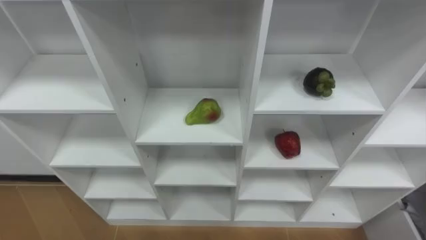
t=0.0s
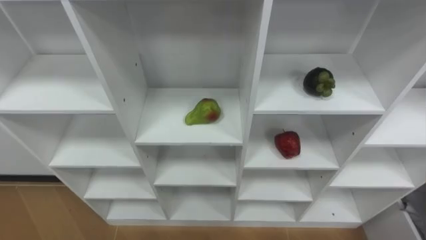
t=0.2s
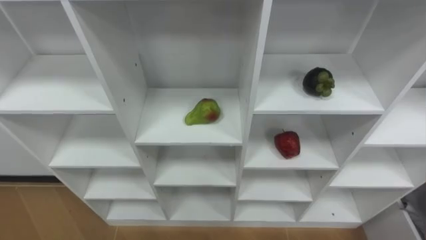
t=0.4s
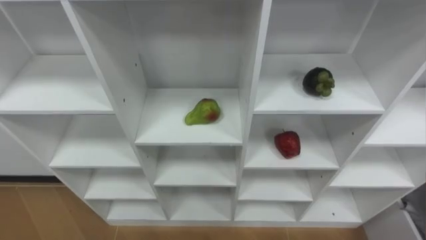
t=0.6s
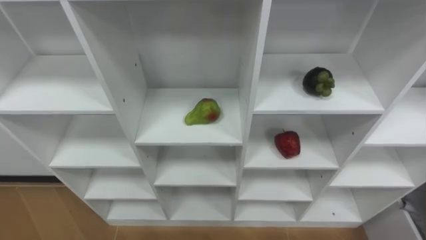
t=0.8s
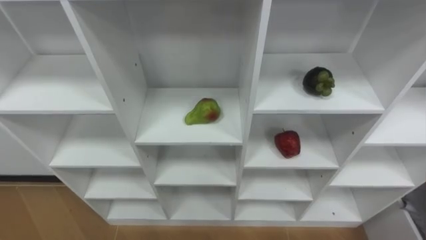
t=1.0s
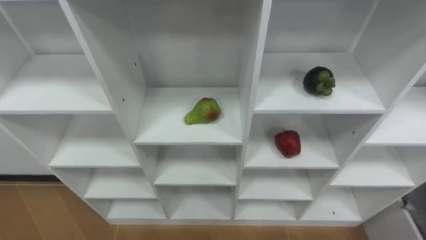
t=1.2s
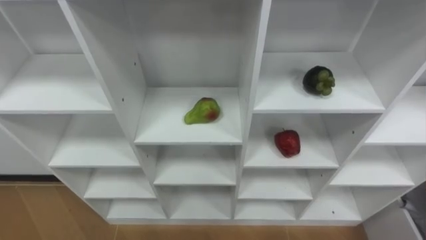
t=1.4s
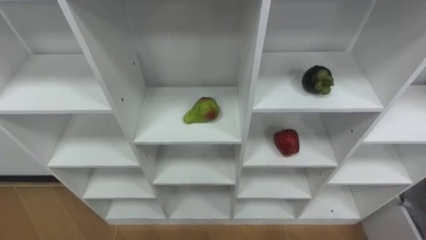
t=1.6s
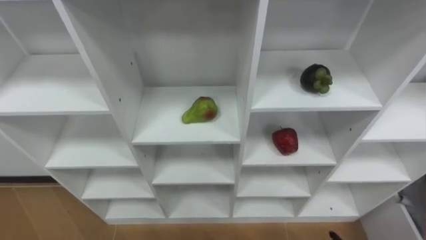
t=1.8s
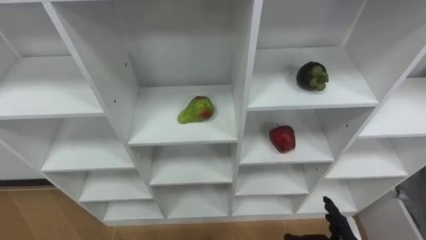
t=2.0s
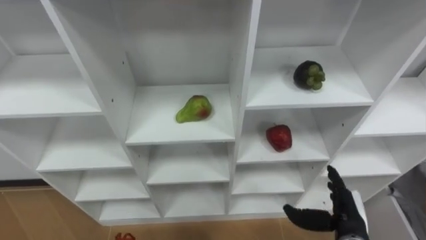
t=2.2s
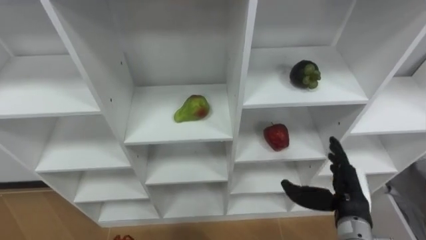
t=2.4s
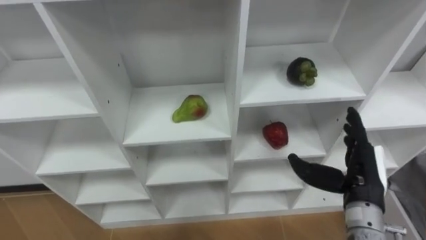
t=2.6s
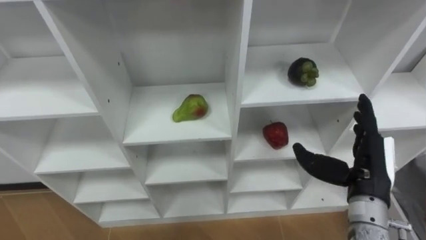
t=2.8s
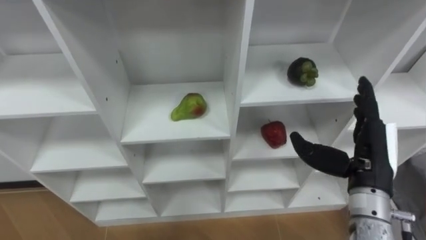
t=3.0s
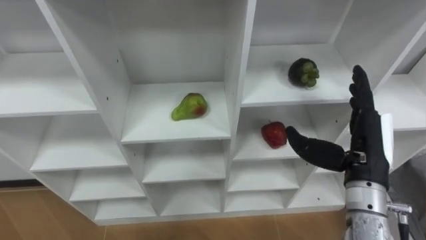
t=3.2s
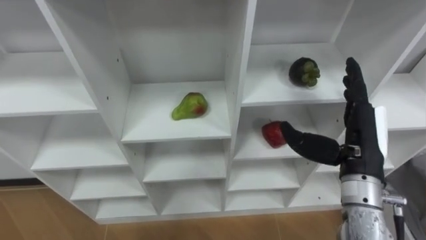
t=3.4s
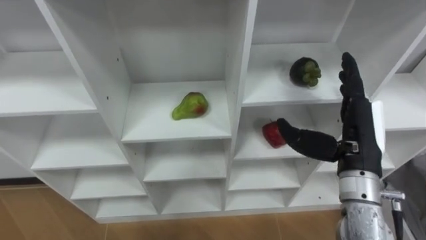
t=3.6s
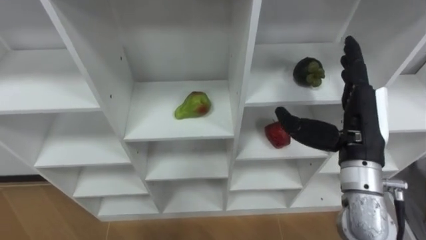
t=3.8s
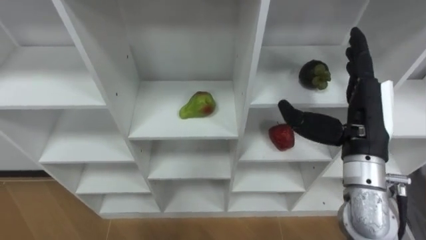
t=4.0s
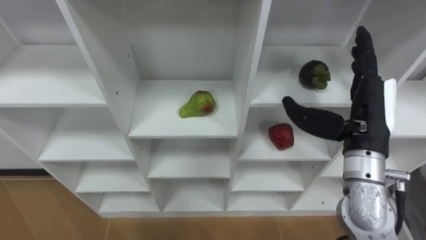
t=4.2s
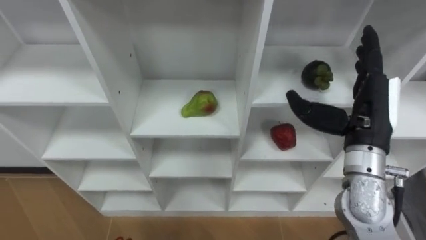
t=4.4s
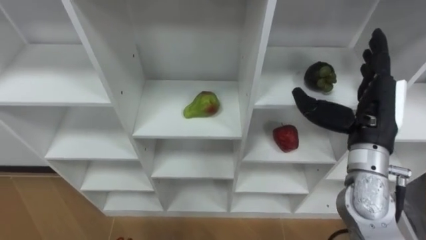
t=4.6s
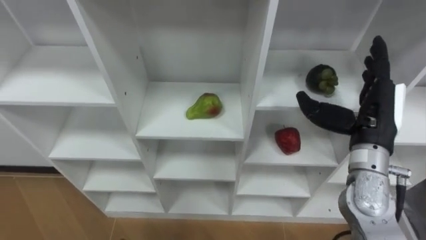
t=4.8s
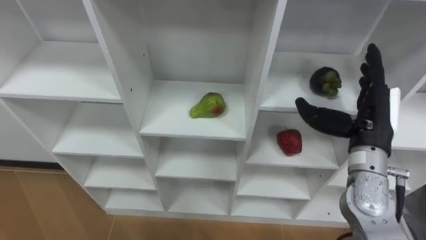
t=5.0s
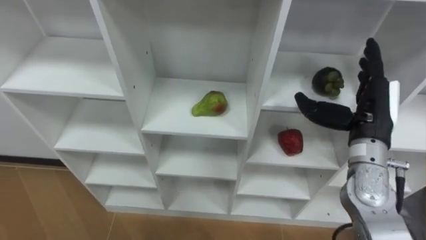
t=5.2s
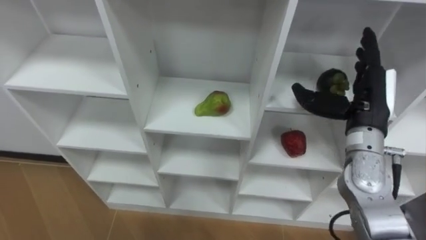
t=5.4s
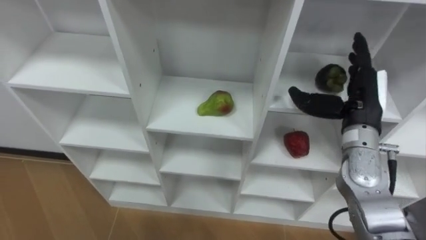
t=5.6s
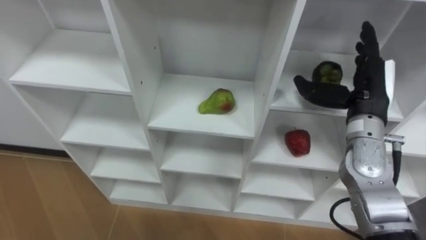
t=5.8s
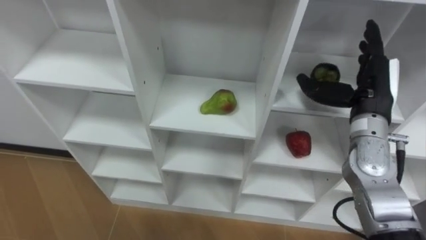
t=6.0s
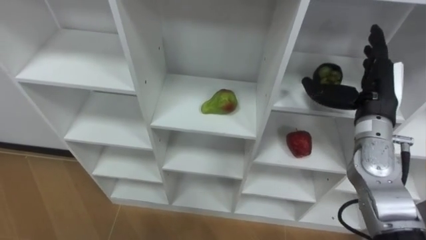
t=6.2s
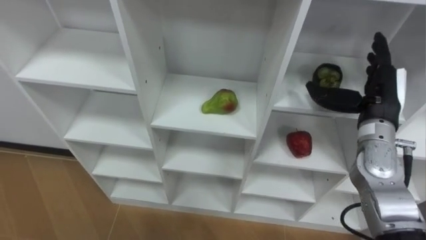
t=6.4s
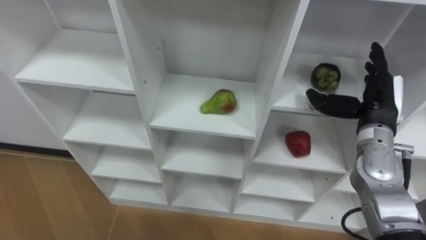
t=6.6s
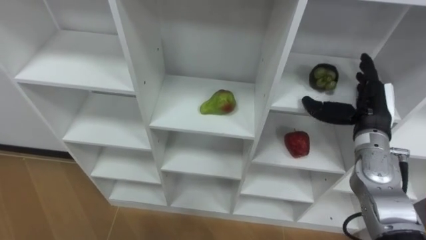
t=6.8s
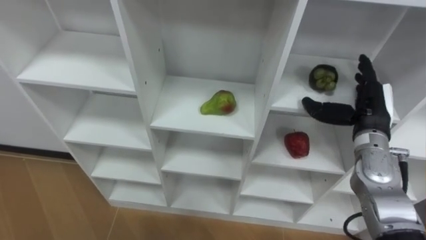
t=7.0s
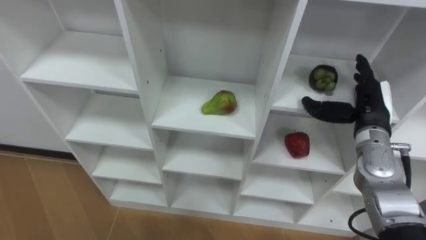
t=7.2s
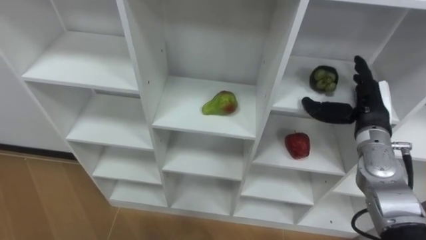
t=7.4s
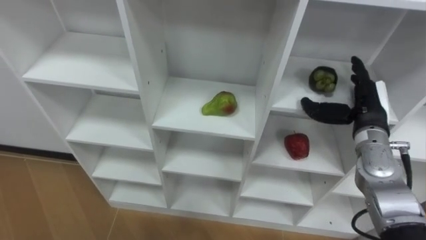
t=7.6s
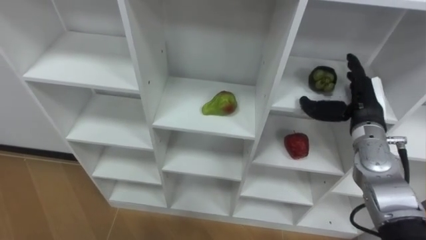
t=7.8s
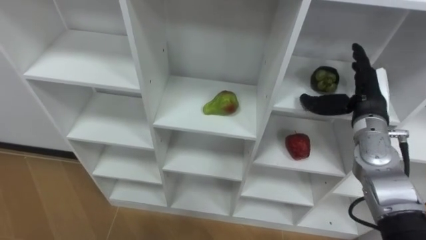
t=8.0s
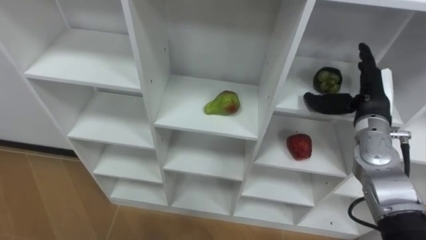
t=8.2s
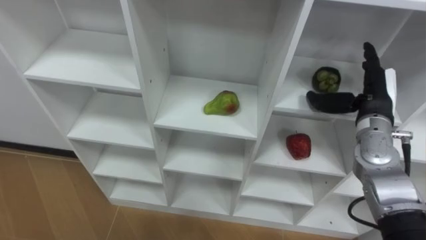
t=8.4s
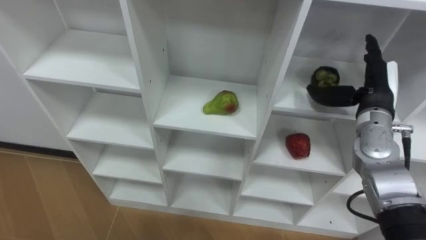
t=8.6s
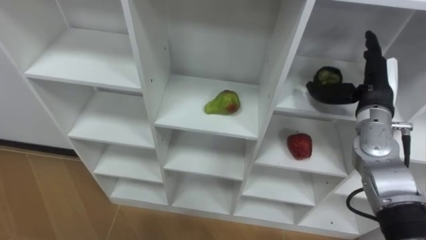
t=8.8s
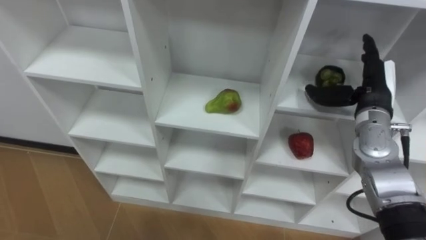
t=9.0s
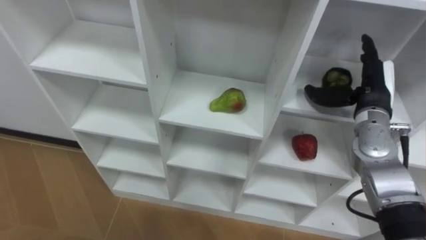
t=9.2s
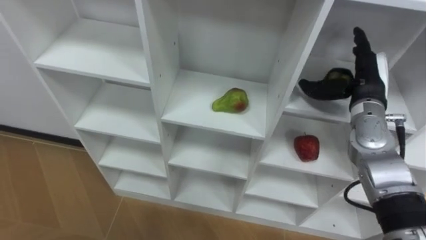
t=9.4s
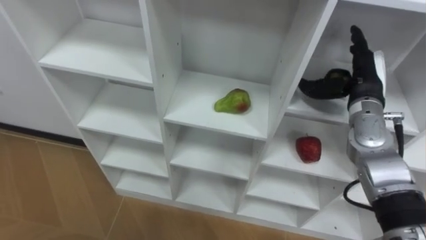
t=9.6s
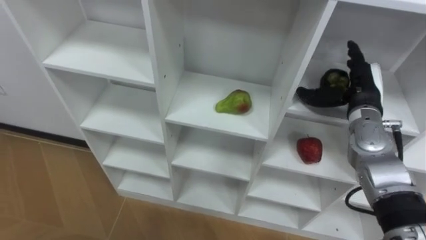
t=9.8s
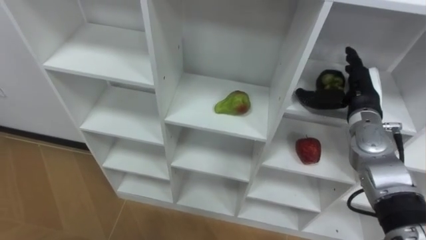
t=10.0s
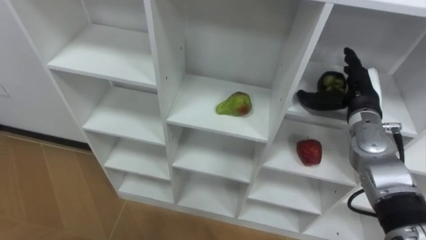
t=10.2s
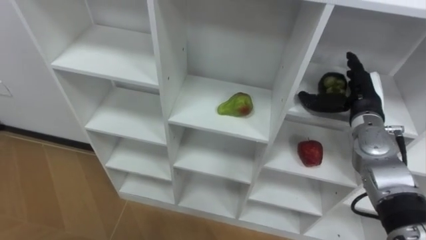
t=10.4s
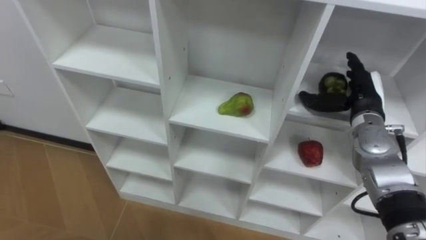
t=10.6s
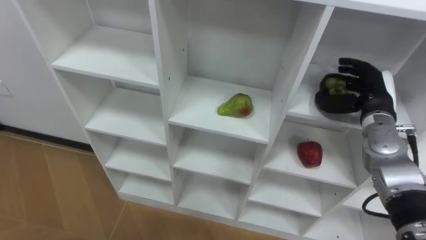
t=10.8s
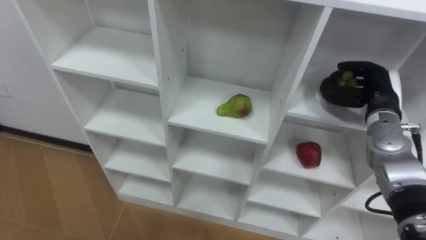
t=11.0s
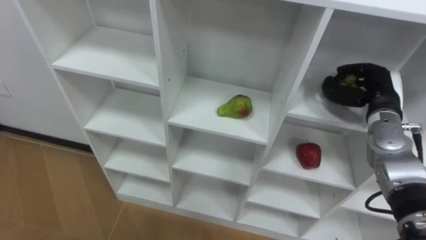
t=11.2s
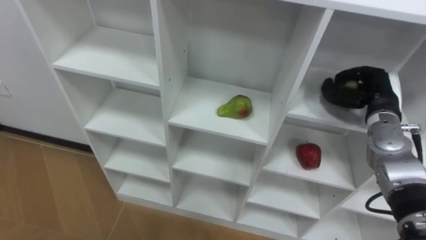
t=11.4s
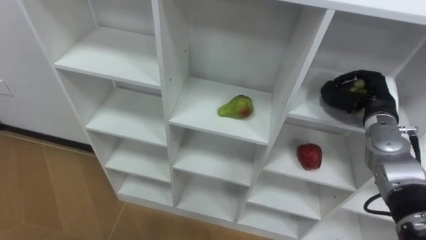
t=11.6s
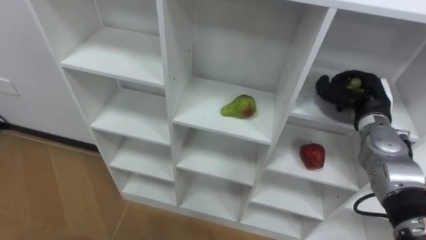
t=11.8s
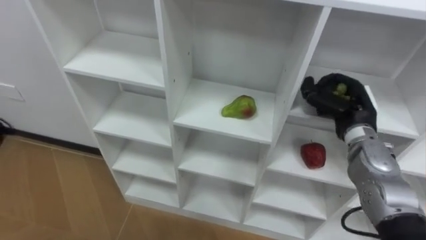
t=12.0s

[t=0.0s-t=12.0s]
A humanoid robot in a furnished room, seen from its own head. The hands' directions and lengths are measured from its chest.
Task of the whole recording: Hold the basket and collect the fruits from 3 different cells of the closet into it.
t=3.0s to t=4.4s: The right hand goes some 5 cm upward.
t=4.4s to t=6.0s: The right hand moves forward, about 5 cm.
t=6.0s to t=7.6s: The right hand is displaced downward by approximately 5 cm.
t=10.4s to t=12.0s: The right hand closes its fingers.

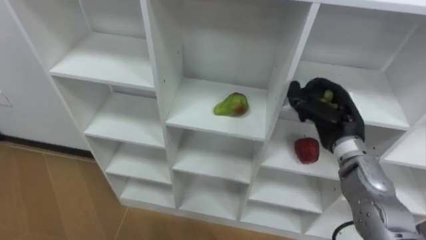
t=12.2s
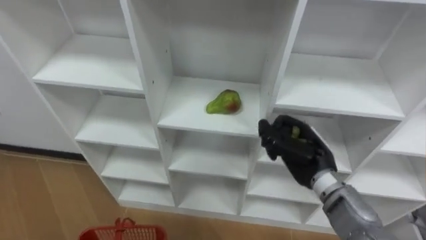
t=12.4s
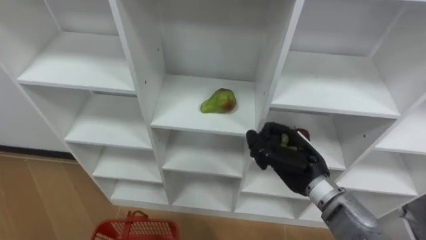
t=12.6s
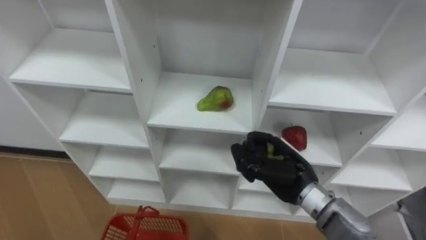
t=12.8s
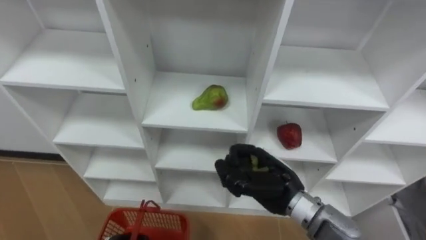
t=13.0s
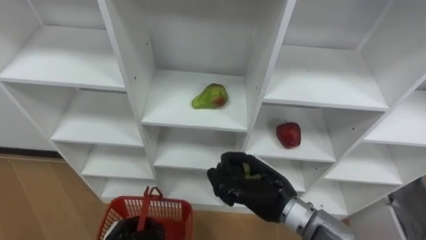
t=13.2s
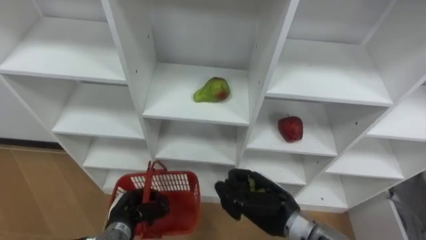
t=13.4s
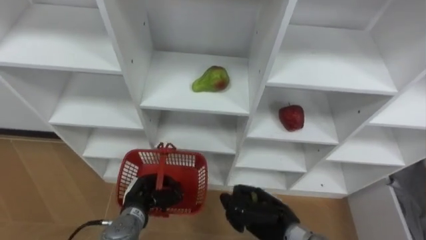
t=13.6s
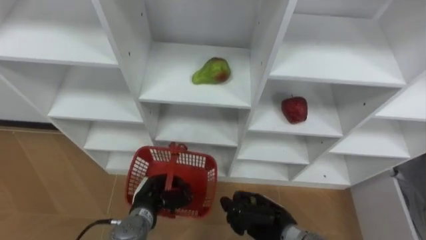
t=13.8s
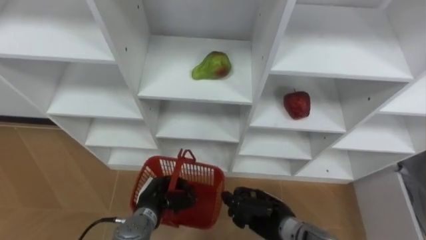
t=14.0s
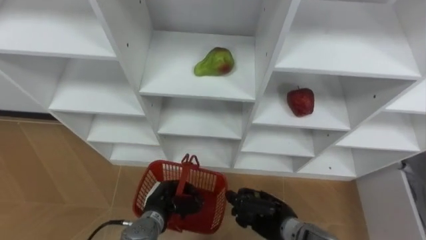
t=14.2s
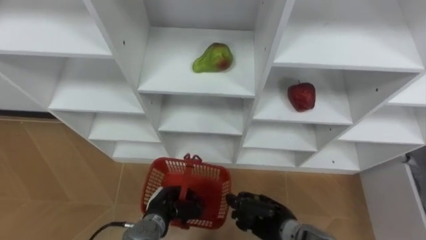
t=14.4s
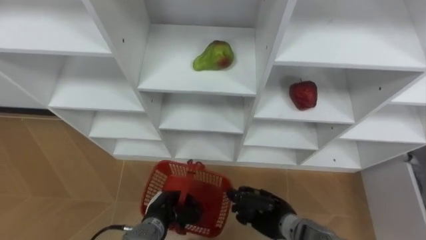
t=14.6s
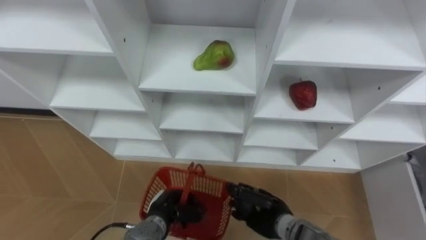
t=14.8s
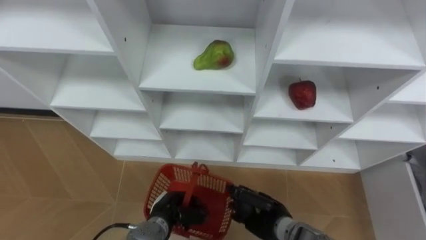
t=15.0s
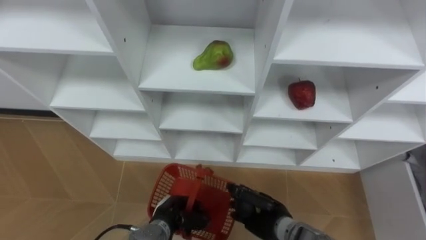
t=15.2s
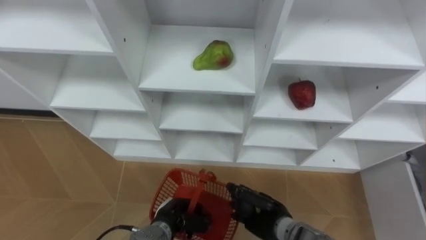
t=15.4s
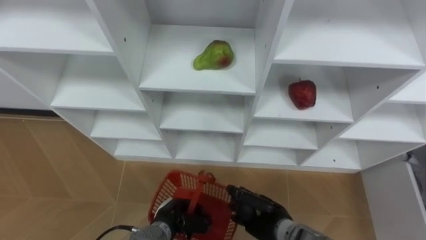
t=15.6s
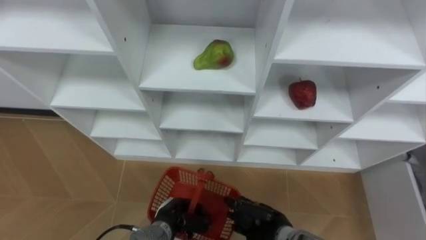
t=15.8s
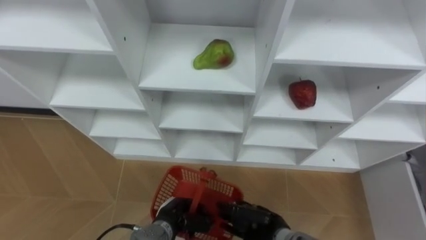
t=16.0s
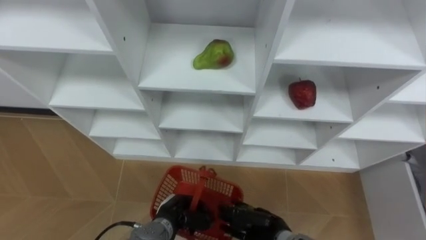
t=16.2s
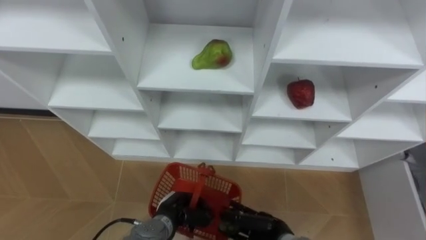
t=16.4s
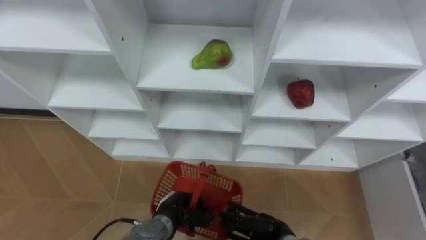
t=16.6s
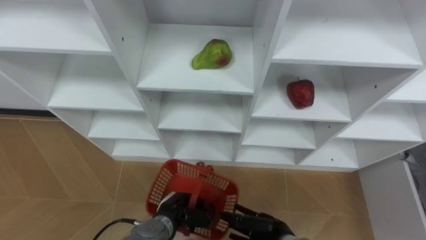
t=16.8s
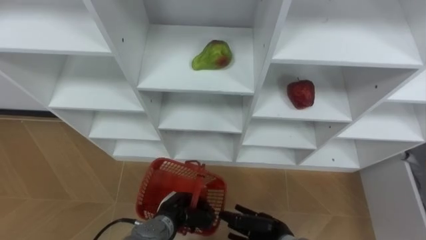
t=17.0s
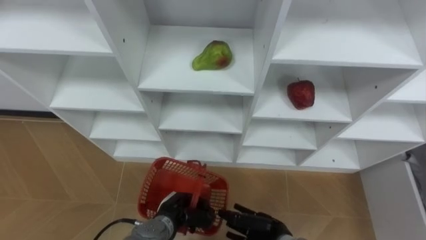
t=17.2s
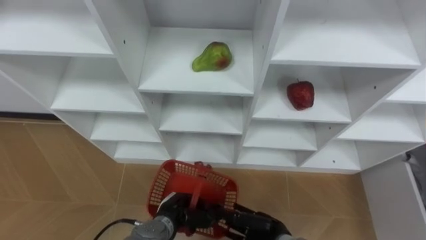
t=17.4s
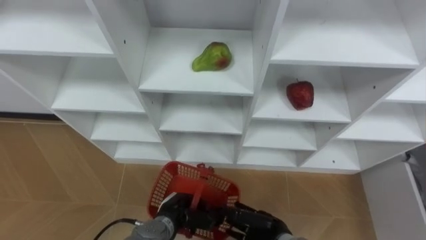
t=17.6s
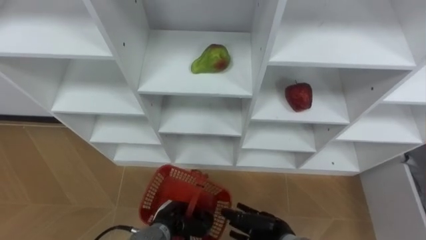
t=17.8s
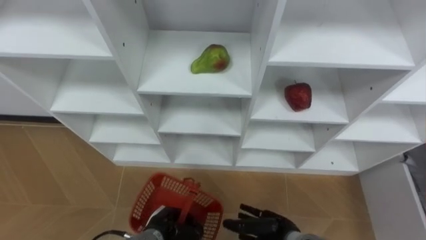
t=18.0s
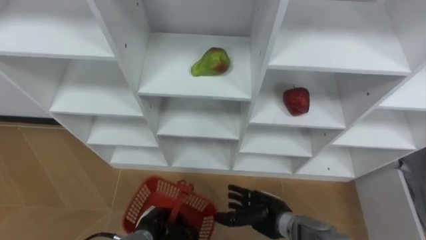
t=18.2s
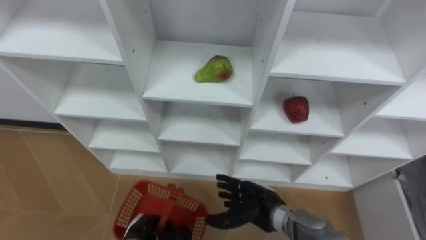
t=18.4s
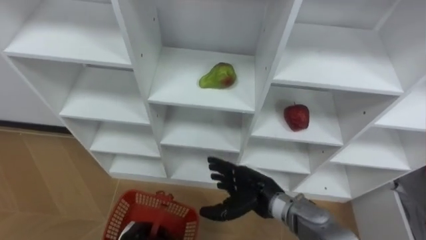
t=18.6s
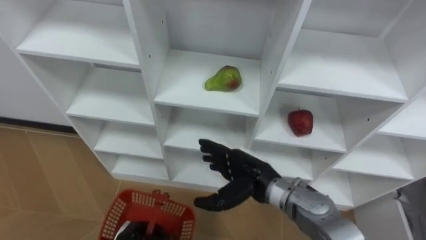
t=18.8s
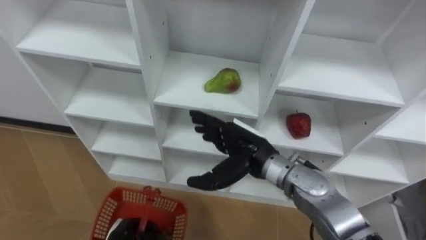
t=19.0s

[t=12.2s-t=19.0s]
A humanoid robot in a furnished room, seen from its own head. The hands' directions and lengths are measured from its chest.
Task of the whole recording: Hold the basket and collect the fruits from 3 different cells of the closet into it.
t=12.2s to t=13.6s: The right hand heads downward, backward and to the left, covering roughly 20 cm.
t=13.6s to t=15.0s: The right hand heads downward, covering some 5 cm. The left hand moves to the right, about 5 cm.
t=15.0s to t=16.2s: The right hand opens its fingers.
t=16.2s to t=17.6s: The right hand opens.
t=17.6s to t=19.0s: The right hand goes about 20 cm upward and forward.
